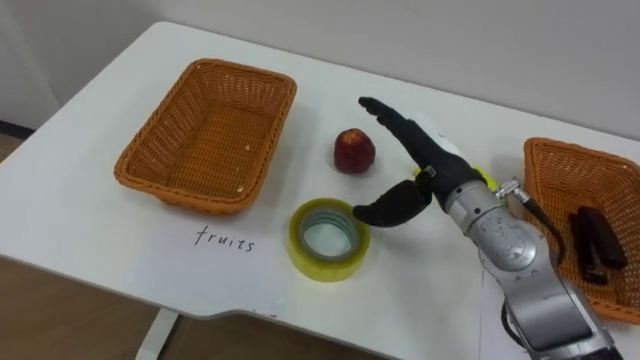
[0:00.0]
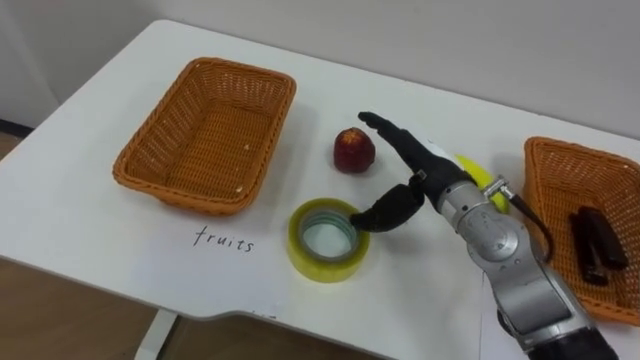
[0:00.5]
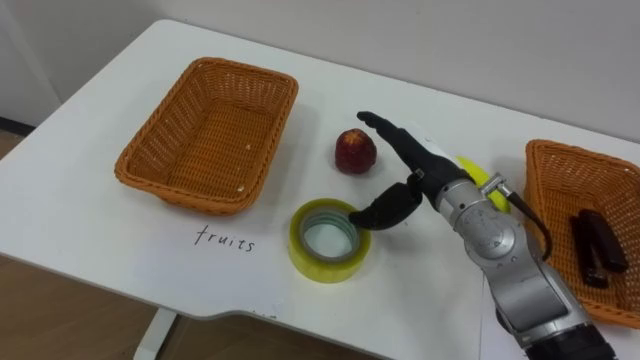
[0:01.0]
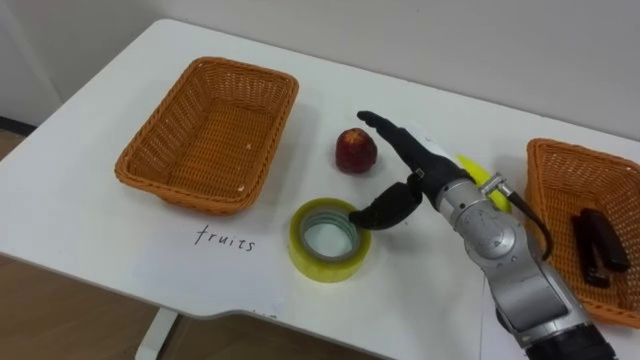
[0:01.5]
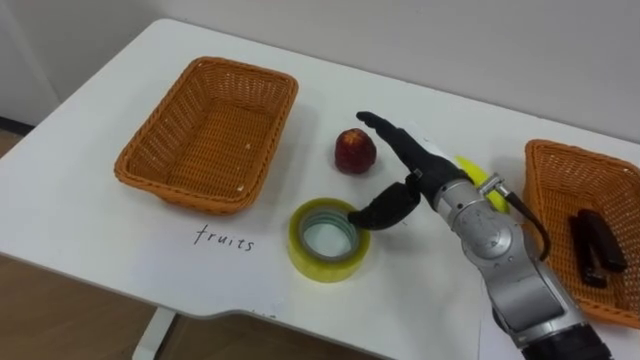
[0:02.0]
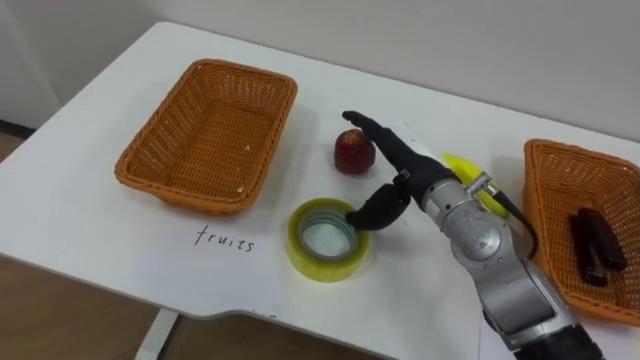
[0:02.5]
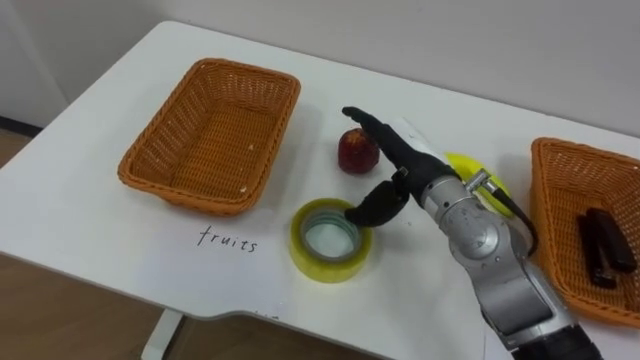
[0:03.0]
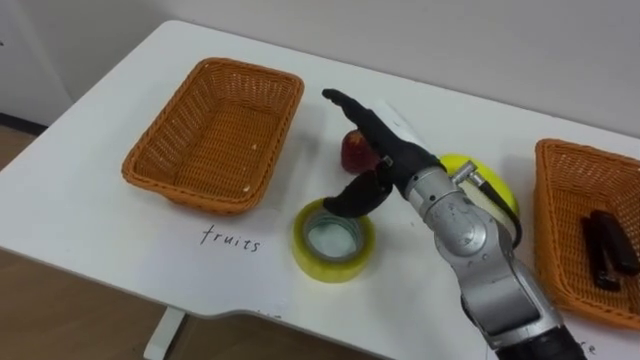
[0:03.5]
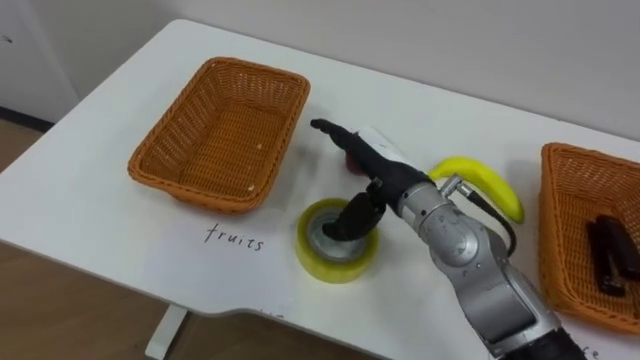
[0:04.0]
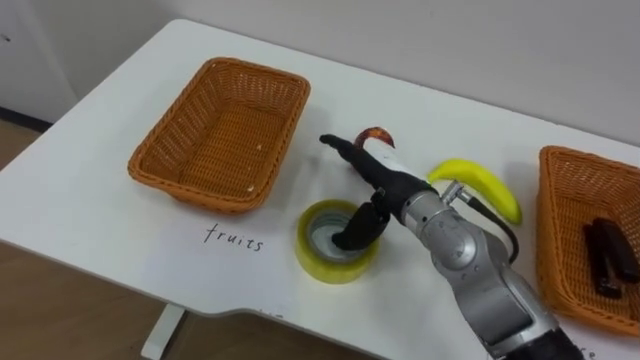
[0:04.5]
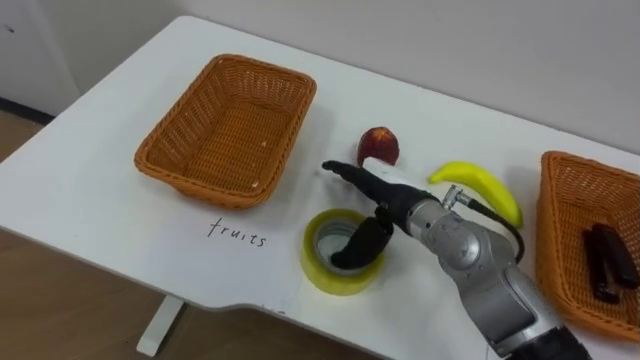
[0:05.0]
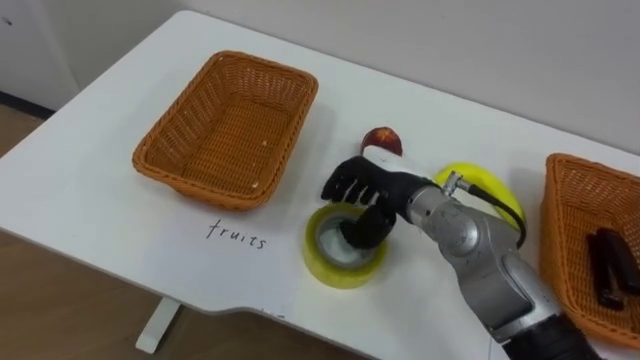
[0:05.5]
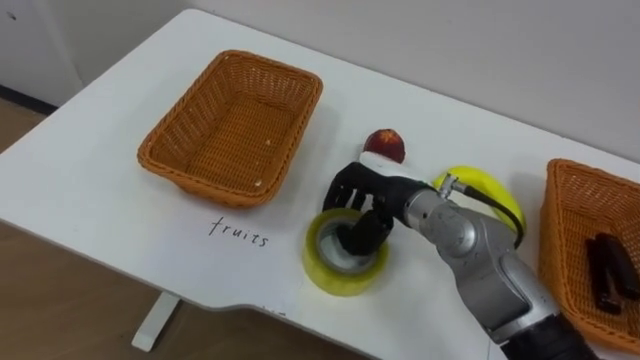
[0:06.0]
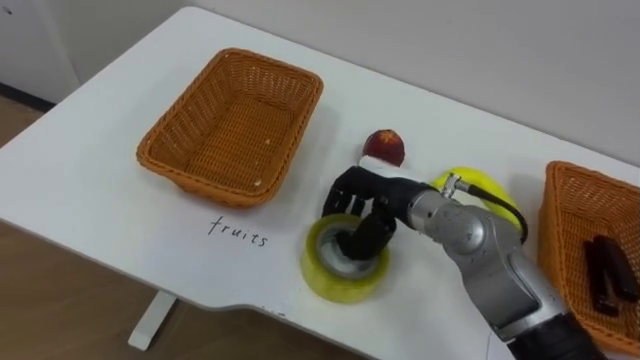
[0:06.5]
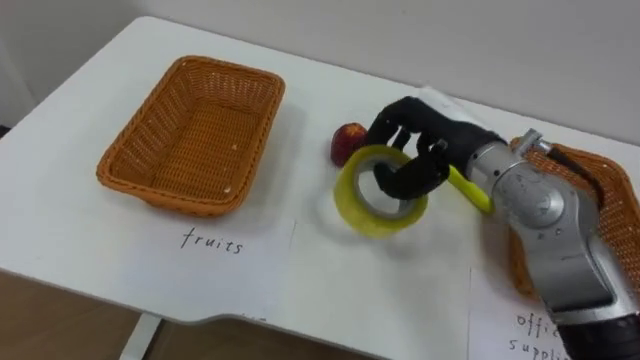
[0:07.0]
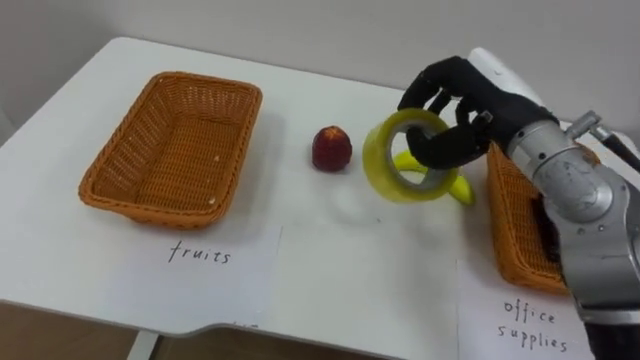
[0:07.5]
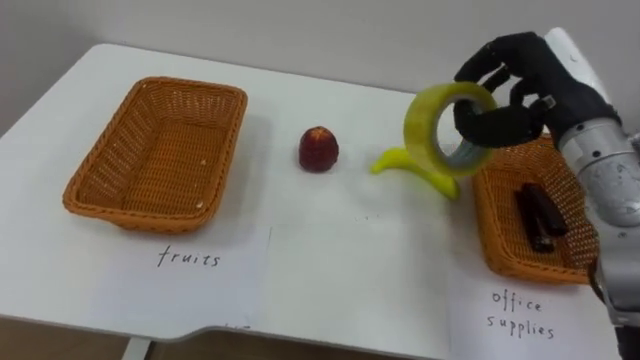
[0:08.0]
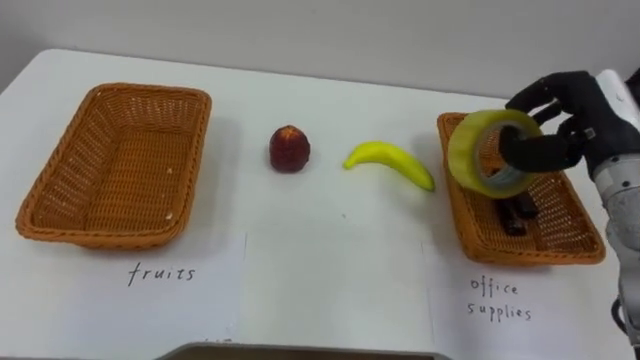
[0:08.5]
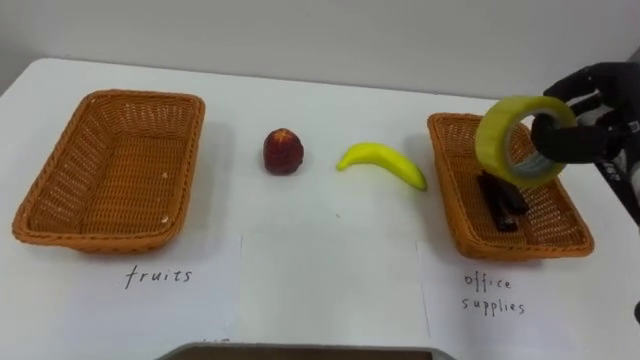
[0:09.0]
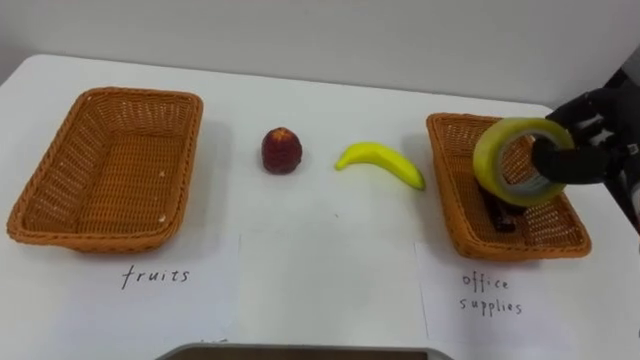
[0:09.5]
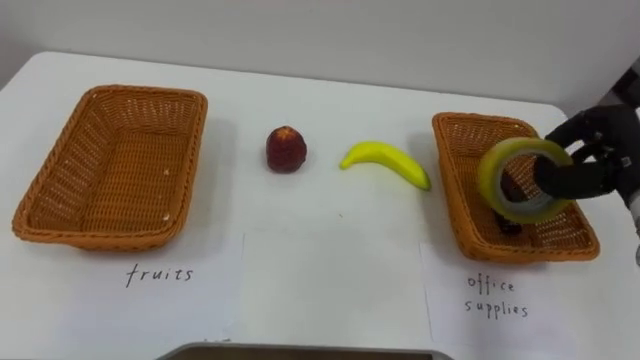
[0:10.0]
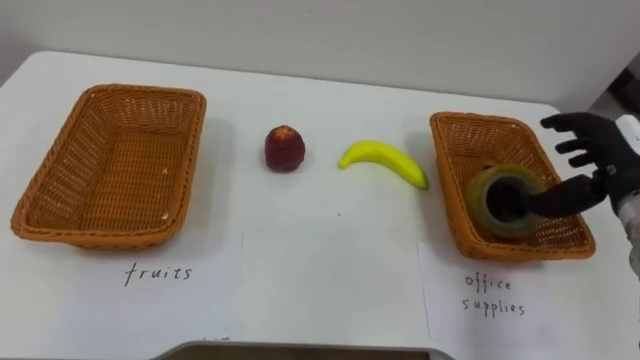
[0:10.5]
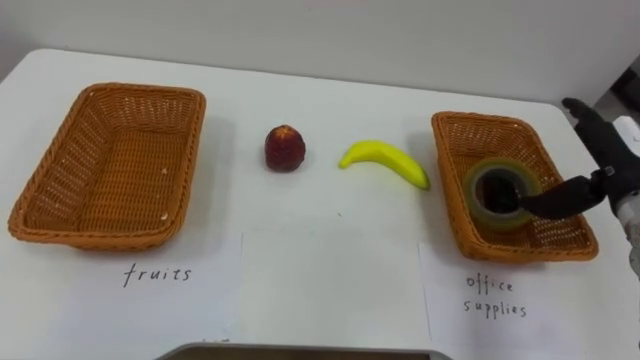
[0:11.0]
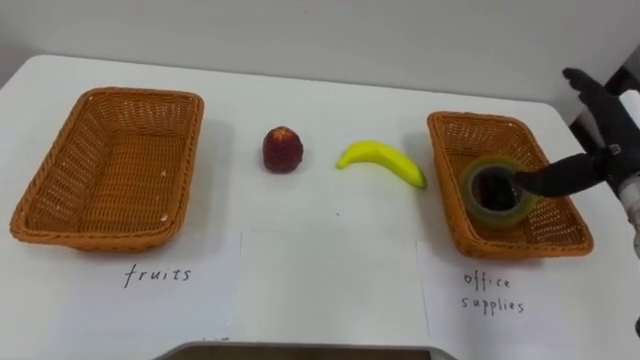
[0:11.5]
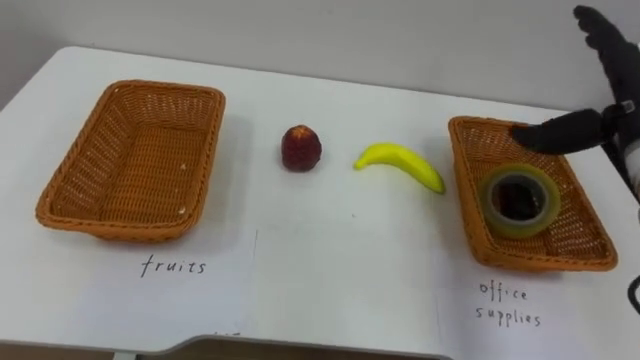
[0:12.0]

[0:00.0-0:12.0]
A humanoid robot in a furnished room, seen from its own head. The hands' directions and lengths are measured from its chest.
Task of the whole recording: Separate the items on the table and place them into the two baskets.
0:02.0 to 0:04.0: The right hand moves to the left, approximately 5 cm.
0:04.0 to 0:06.0: The right hand closes its fingers.
0:06.0 to 0:08.0: The right hand is displaced to the right and upward by about 20 cm.
0:08.0 to 0:10.0: The right hand travels to the right and downward by roughly 15 cm.
0:10.0 to 0:12.0: The right hand travels upward by about 5 cm, and opens its fingers.

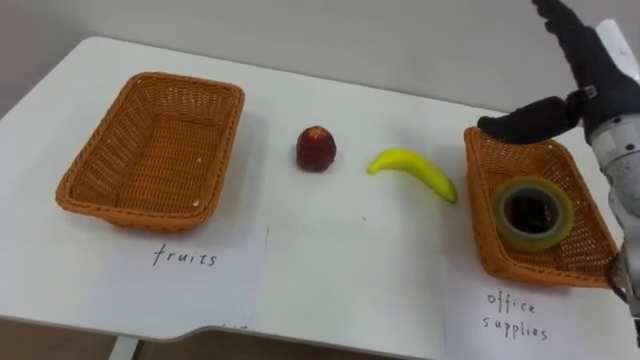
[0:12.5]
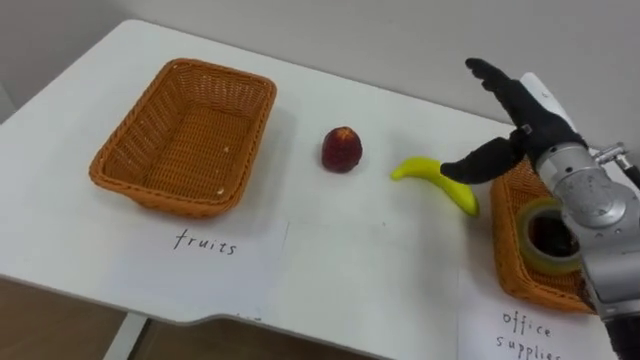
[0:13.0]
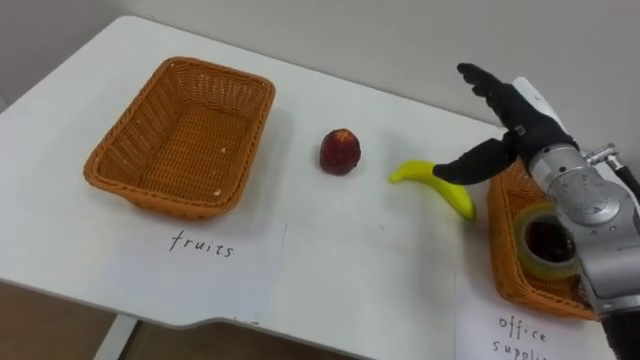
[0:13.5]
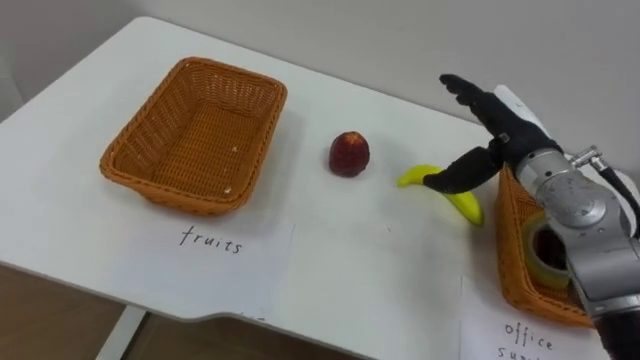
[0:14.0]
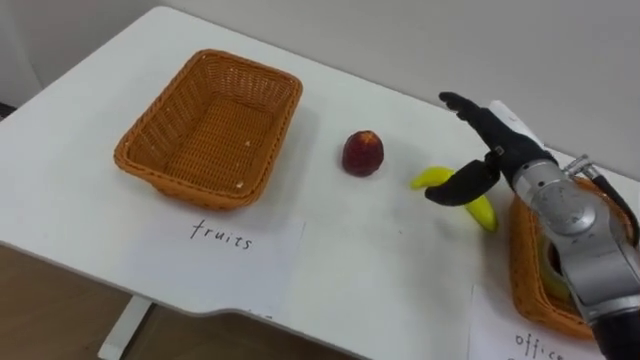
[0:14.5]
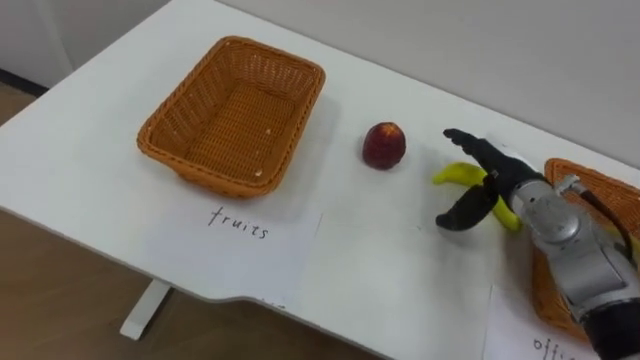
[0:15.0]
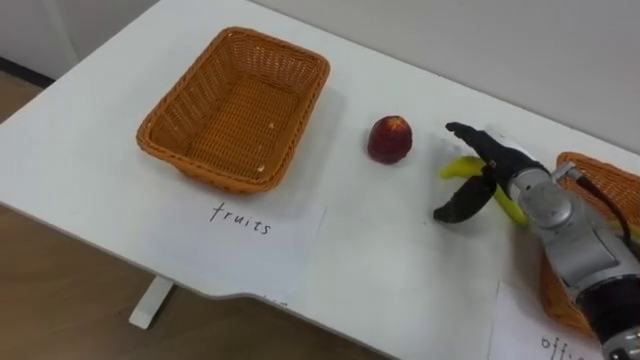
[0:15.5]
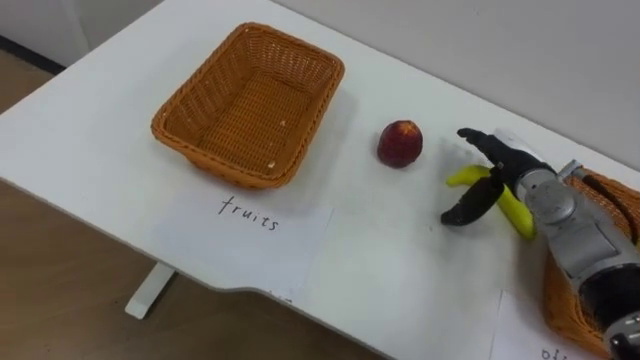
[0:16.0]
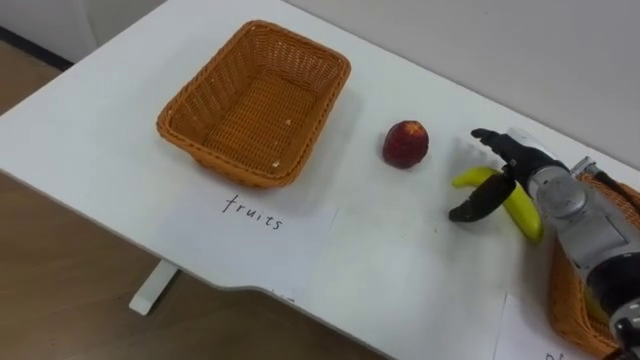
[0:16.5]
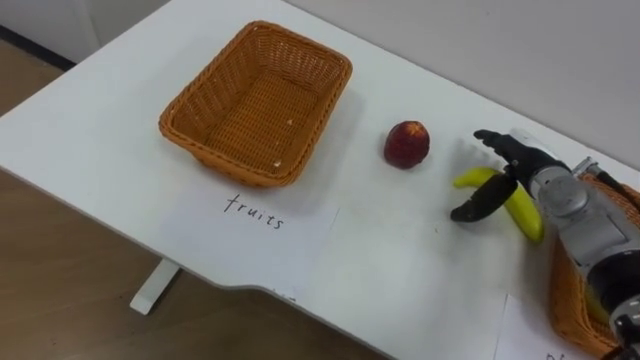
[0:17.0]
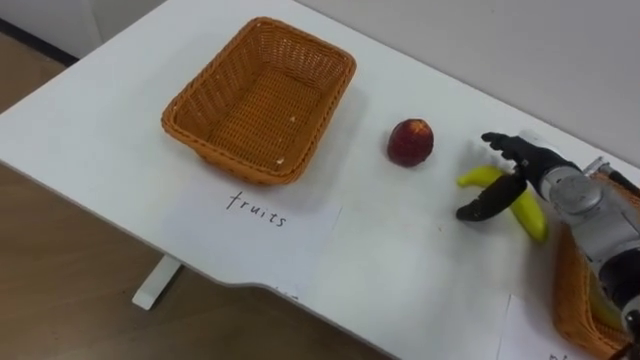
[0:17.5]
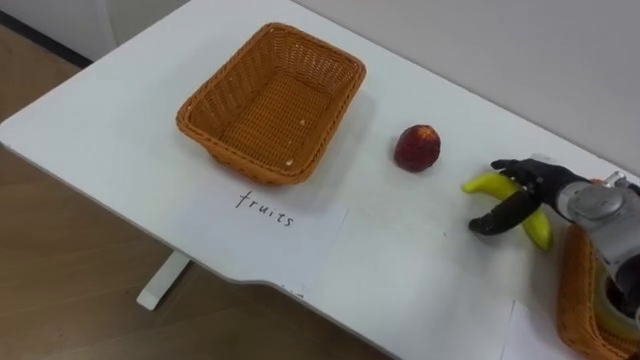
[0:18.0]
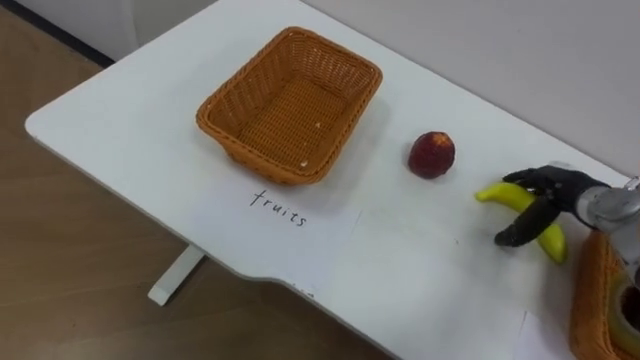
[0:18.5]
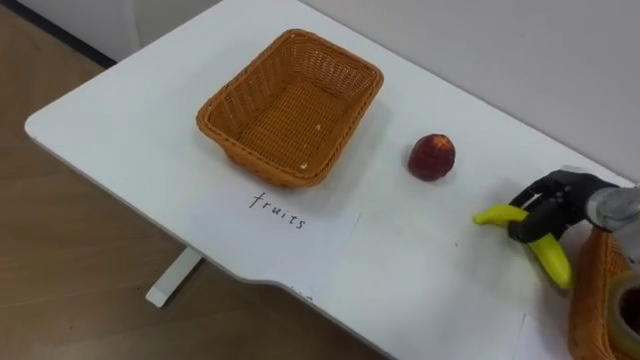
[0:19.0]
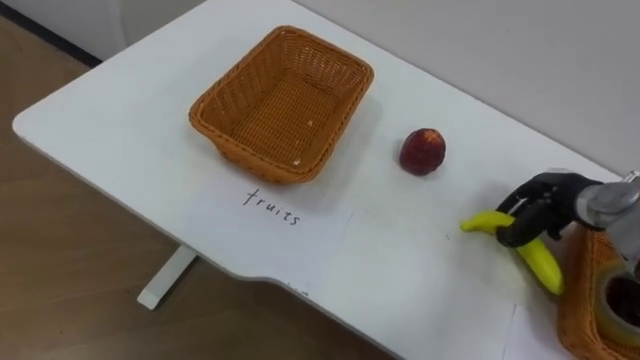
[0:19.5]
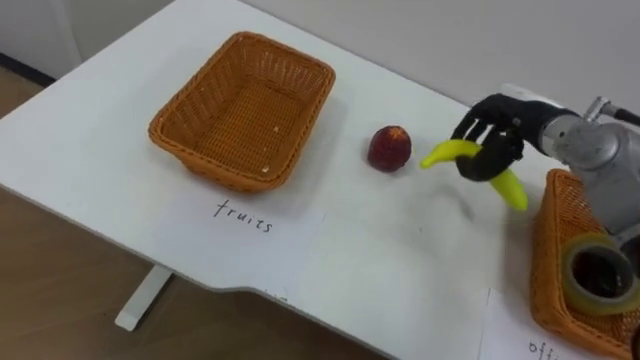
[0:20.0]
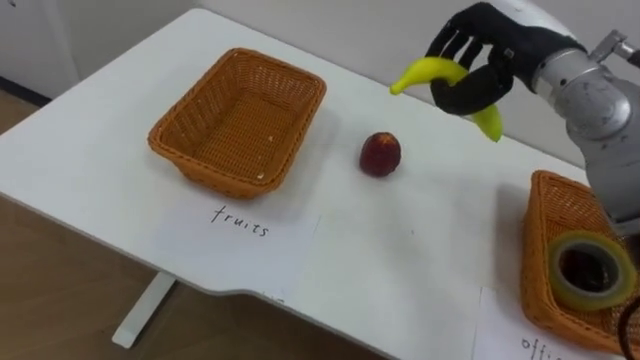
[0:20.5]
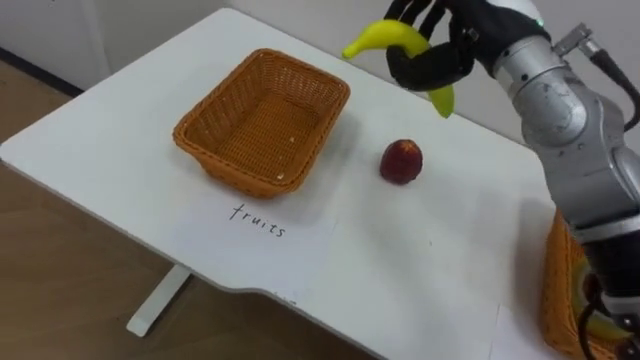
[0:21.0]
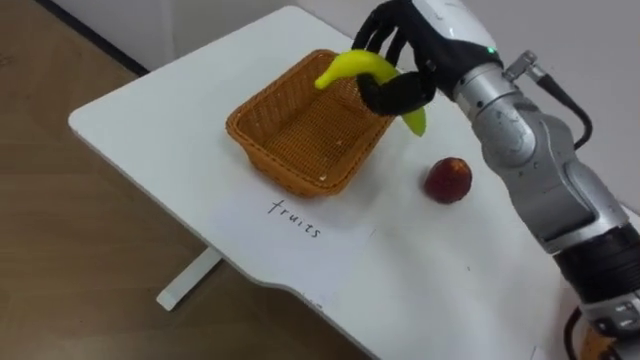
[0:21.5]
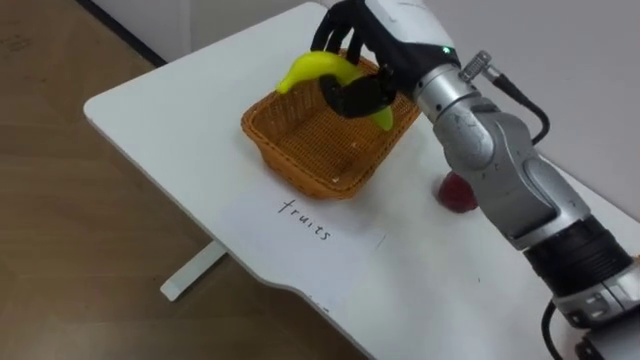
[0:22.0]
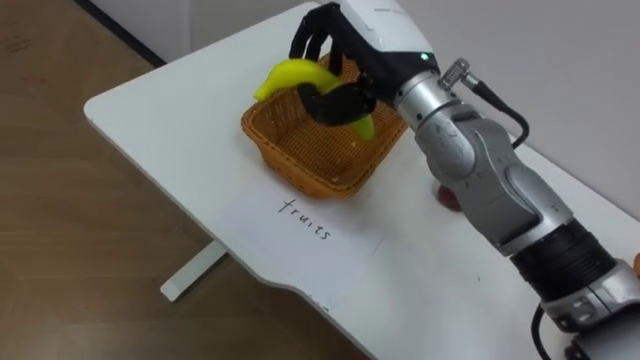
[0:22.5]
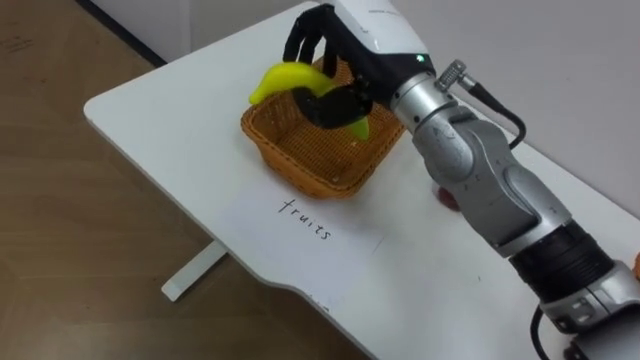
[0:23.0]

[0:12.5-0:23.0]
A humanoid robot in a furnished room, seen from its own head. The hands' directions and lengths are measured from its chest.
Task of the whole recording: Separate the items on the table and place them into the two baskets.
0:12.5 to 0:14.5: The right hand moves downward and to the left, approximately 10 cm.
0:14.5 to 0:16.5: The right hand goes about 5 cm downward.
0:16.5 to 0:19.0: The right hand goes roughly 5 cm to the right, and closes.
0:19.0 to 0:21.0: The right hand travels upward and to the left by some 30 cm.
0:21.0 to 0:23.0: The right hand shifts some 10 cm to the left.
